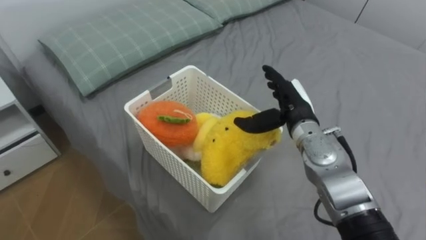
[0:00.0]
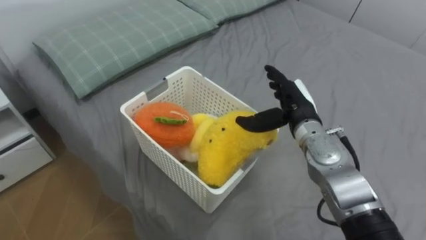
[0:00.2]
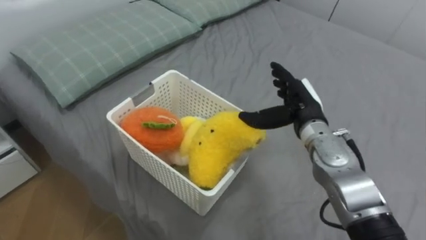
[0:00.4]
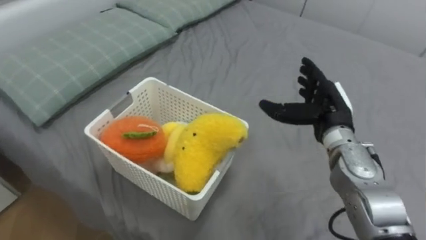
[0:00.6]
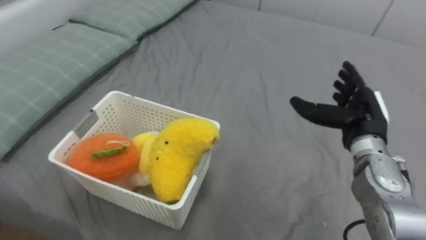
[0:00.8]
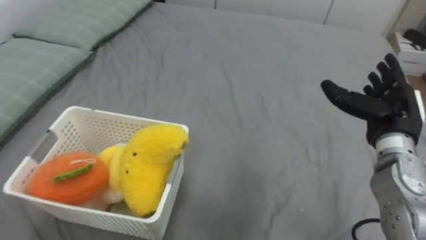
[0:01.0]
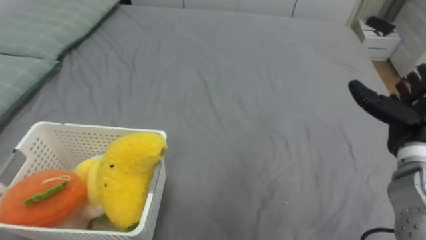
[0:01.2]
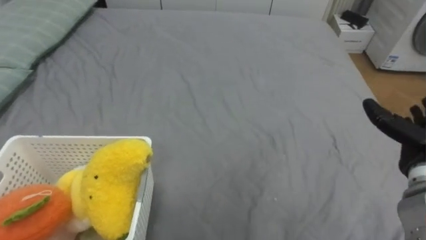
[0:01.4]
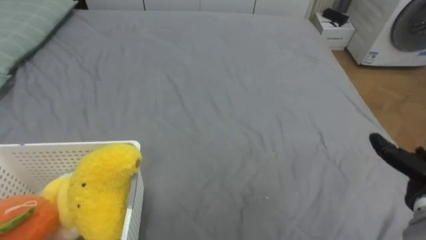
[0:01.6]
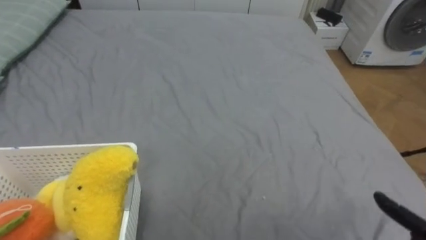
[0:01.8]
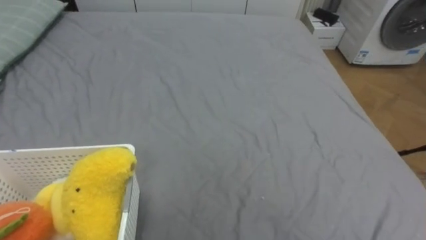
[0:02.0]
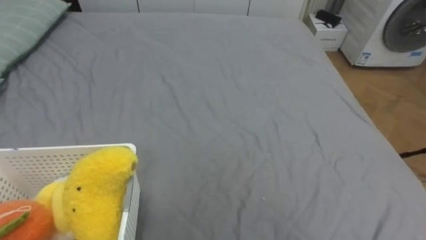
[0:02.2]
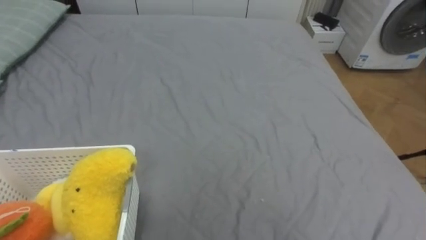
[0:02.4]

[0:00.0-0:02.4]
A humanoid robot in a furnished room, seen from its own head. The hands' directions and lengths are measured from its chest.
Task of the whole recording: Put the toys on the bed into the basket on the left.
0:00.0 to 0:01.2: The right hand travels to the right by approximately 20 cm.

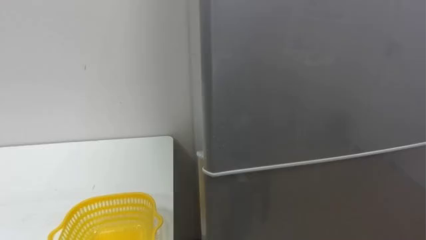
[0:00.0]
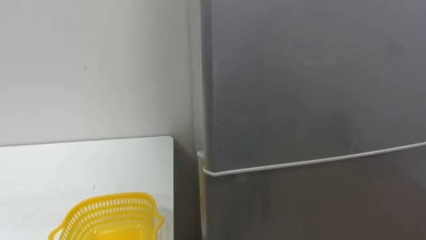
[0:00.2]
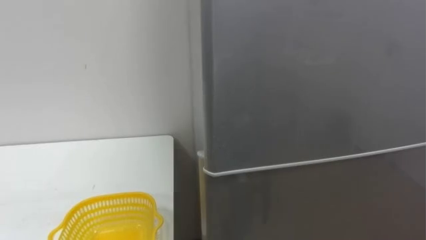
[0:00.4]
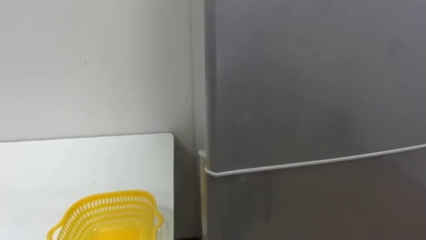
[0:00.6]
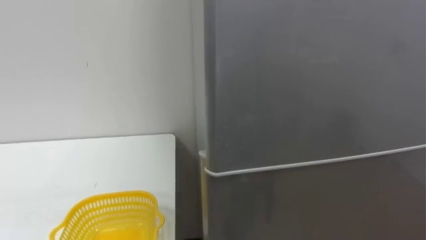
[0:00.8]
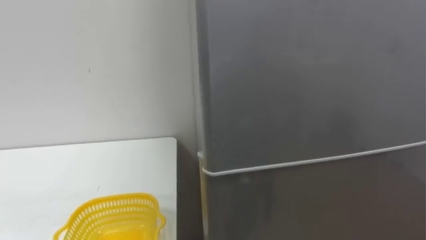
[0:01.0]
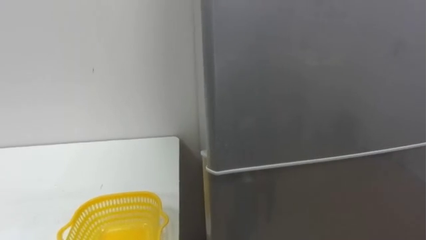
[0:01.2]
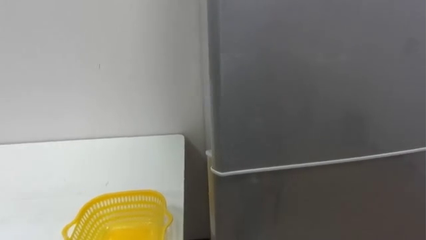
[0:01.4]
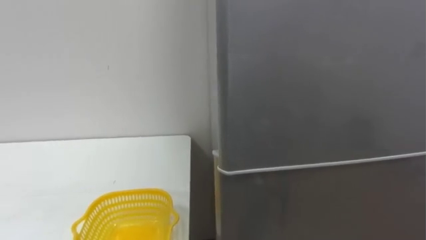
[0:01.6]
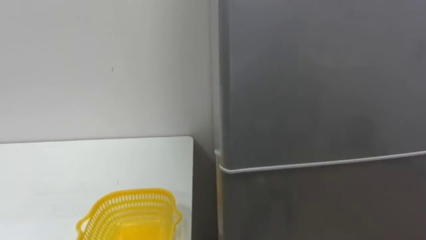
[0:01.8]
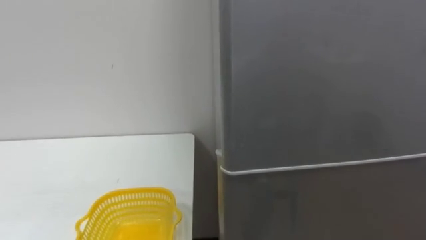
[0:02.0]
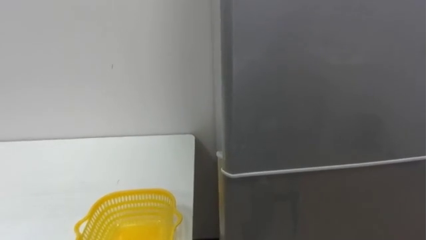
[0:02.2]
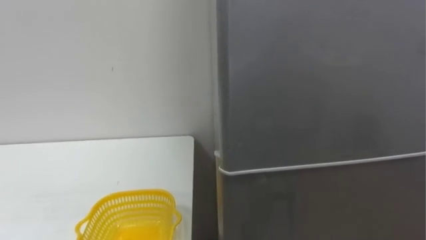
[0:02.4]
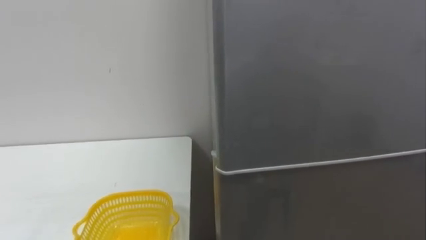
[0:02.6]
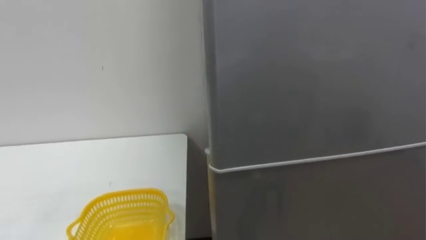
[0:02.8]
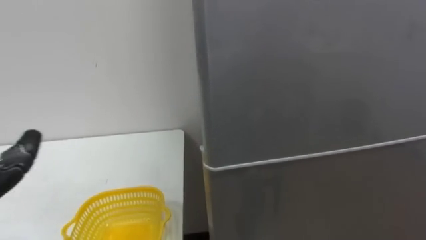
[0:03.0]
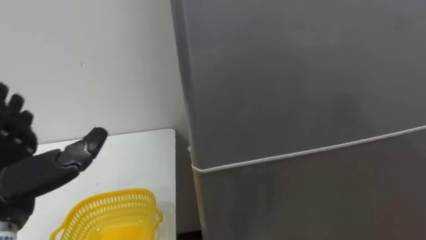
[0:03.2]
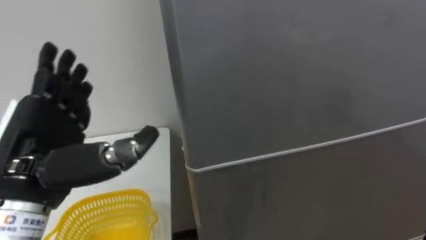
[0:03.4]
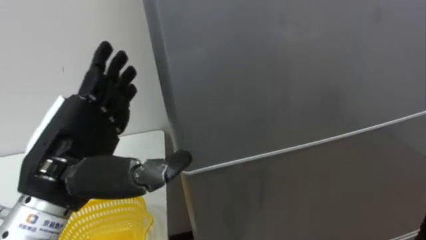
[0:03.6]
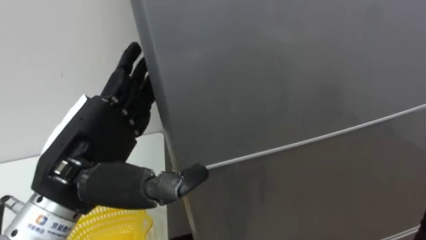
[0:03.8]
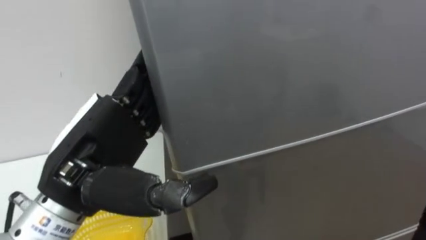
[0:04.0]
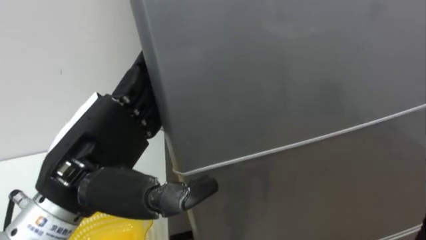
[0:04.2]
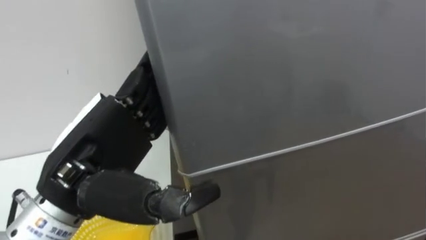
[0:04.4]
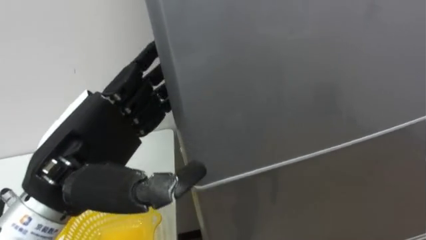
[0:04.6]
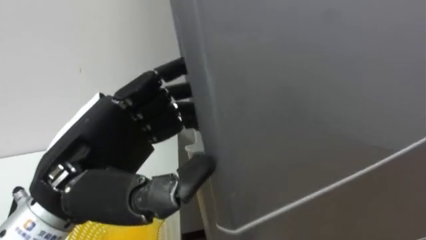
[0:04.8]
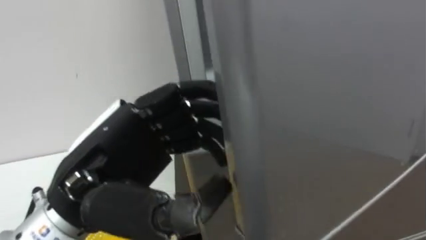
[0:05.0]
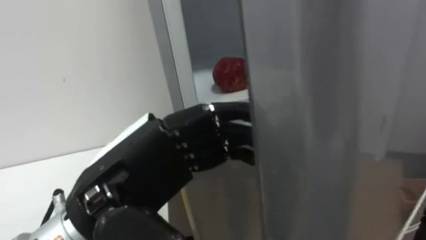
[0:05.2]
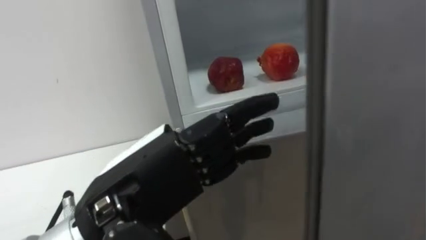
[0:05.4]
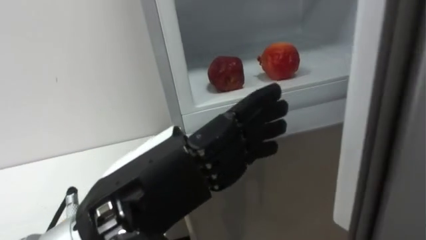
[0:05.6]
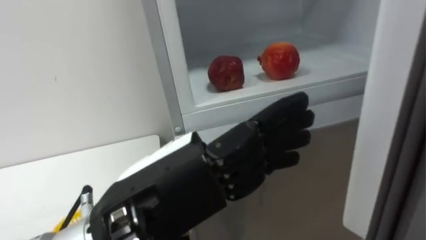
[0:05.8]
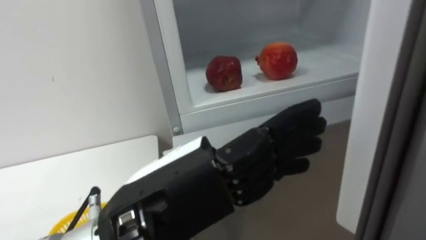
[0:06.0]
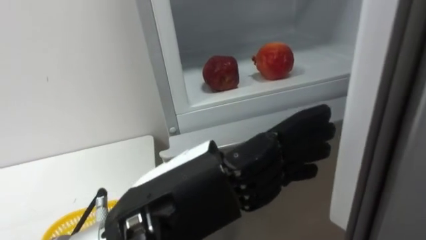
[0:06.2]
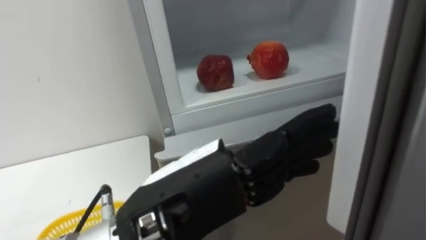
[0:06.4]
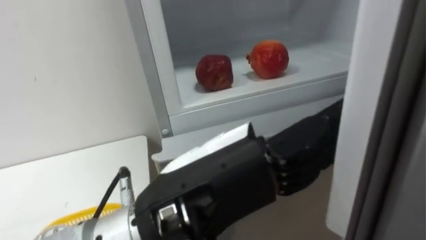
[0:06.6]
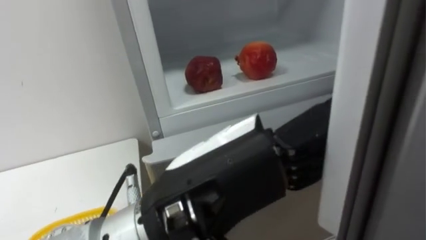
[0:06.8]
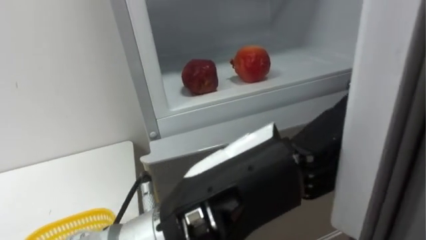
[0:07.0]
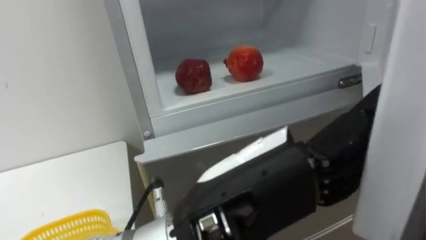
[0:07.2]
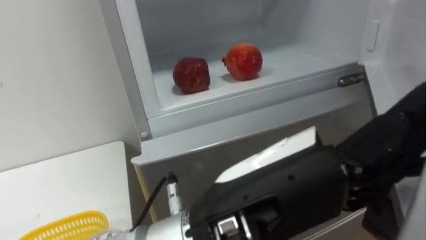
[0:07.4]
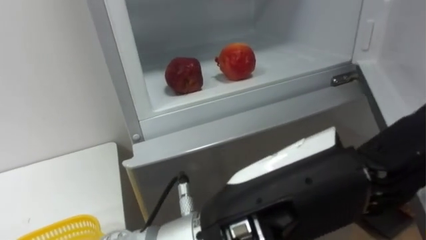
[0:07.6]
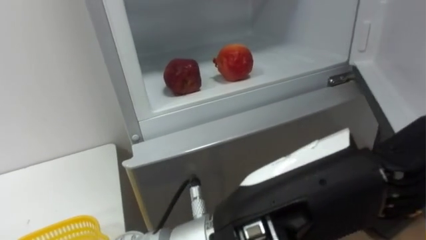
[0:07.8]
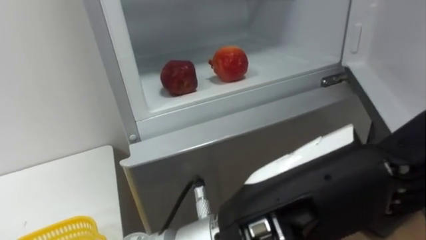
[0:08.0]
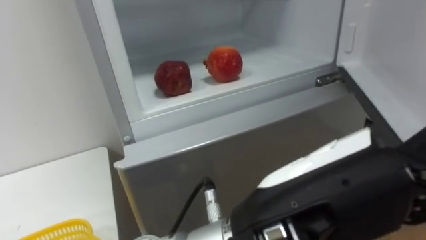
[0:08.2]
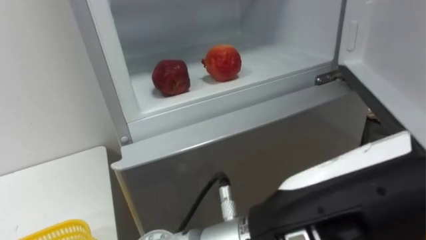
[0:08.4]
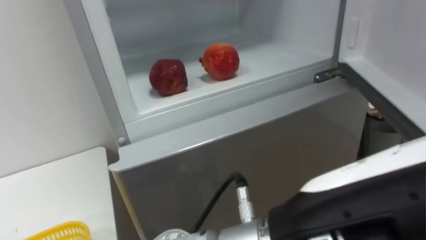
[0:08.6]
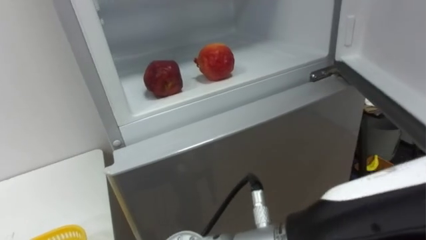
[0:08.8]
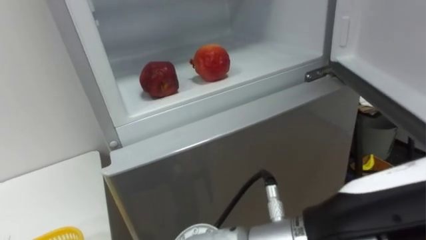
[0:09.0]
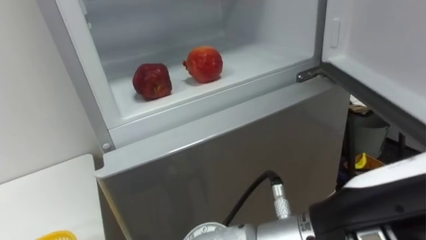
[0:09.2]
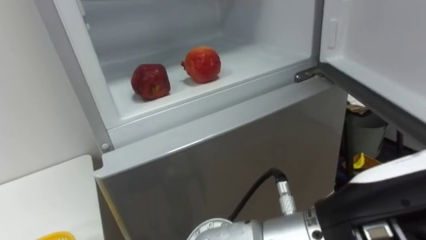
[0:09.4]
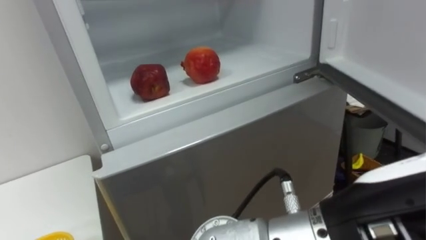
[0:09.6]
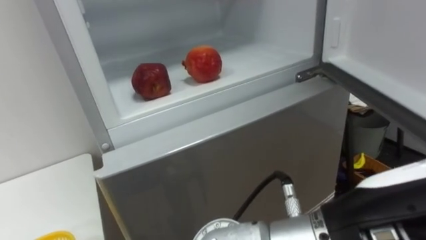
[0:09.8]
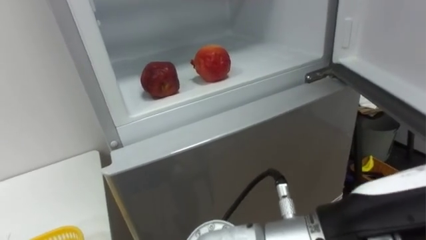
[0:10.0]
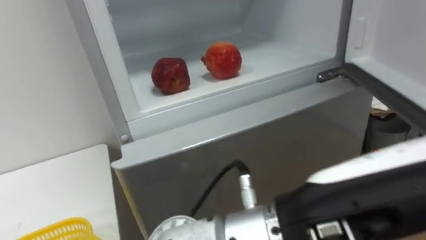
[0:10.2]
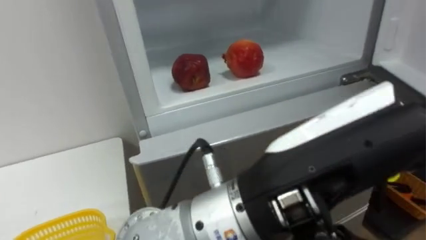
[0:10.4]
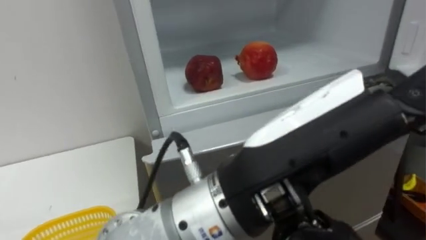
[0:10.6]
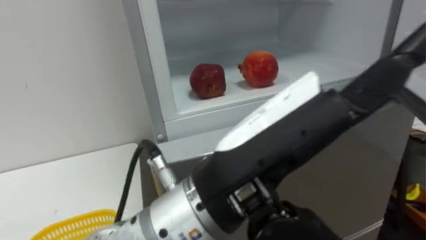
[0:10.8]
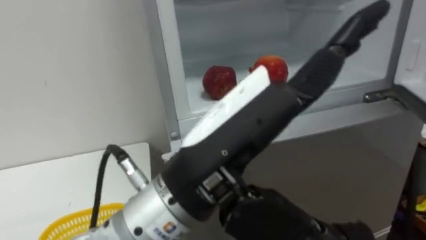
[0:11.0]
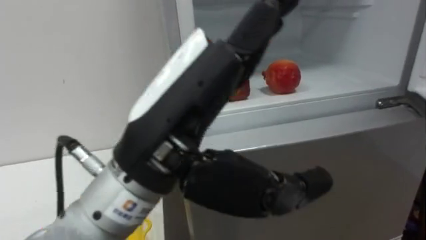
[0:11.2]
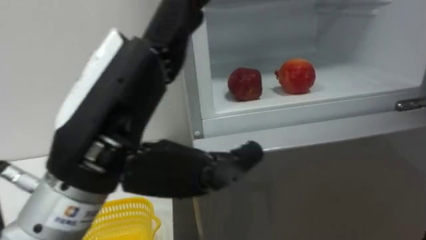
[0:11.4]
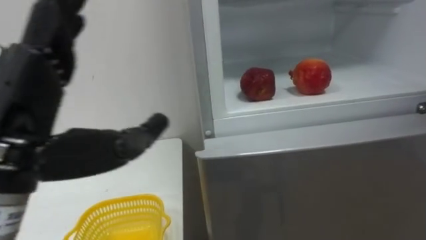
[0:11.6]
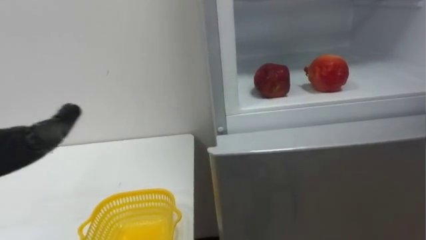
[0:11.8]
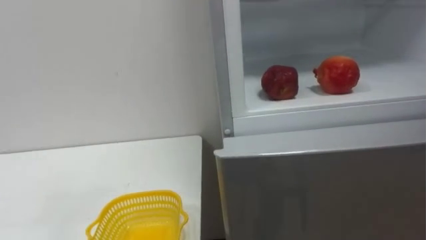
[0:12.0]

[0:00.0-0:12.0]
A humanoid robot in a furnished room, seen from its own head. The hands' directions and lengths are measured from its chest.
Task of the whole recording: Open the refrigerator door, take out the apple and the pomegranate, place them in the fruit basket on the left, and close the refrigerator door.
0:04.4 to 0:06.0: The left hand moves to the right and backward, approximately 10 cm, and closes, then opens again.
0:06.0 to 0:07.6: The left hand is displaced to the right by some 10 cm.
0:07.6 to 0:09.0: The left hand travels to the right by some 5 cm.

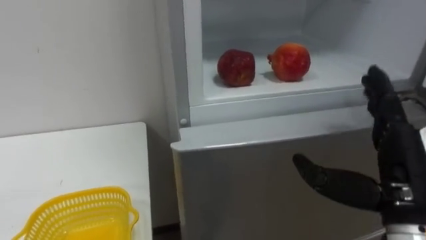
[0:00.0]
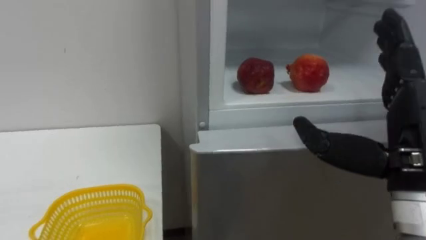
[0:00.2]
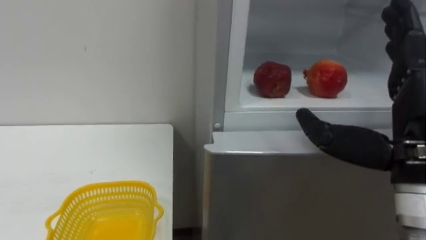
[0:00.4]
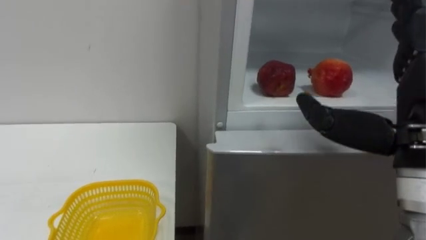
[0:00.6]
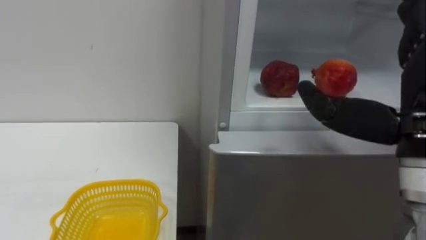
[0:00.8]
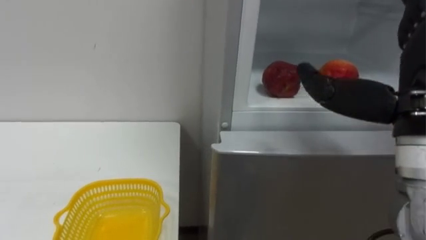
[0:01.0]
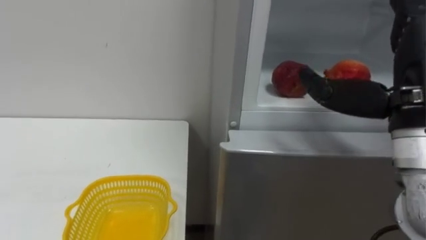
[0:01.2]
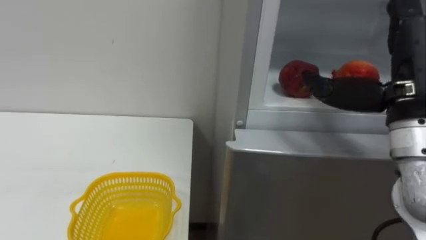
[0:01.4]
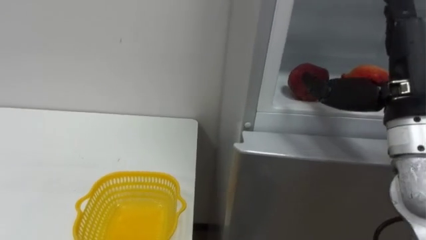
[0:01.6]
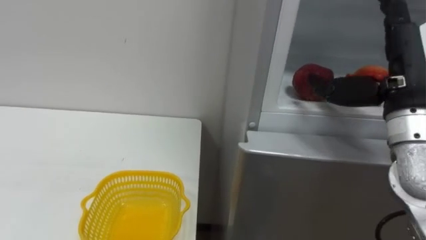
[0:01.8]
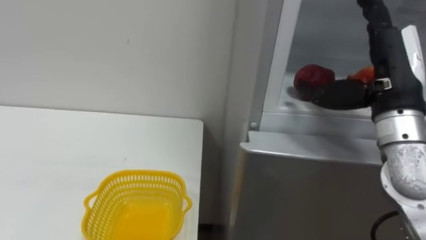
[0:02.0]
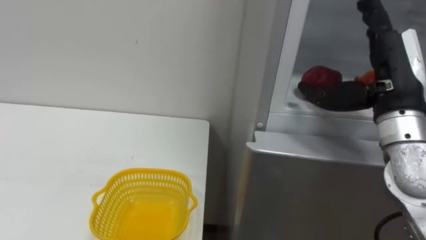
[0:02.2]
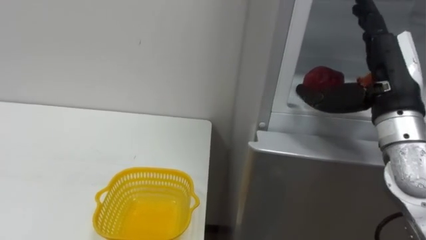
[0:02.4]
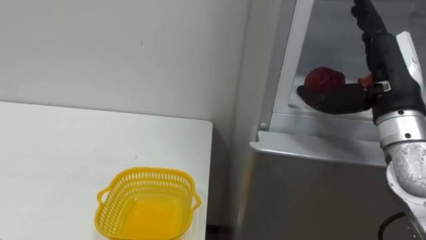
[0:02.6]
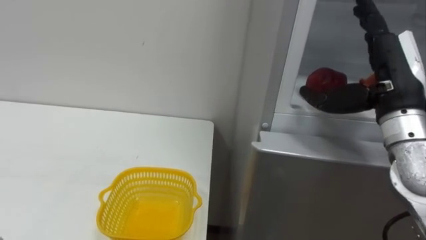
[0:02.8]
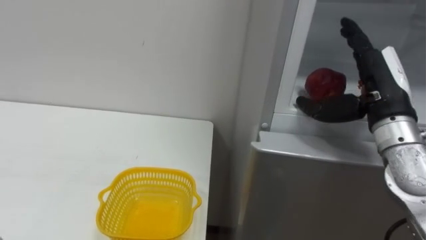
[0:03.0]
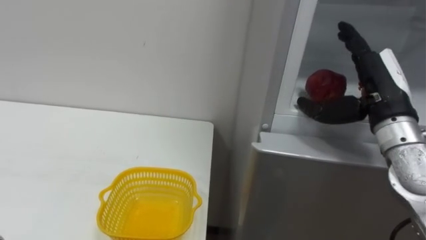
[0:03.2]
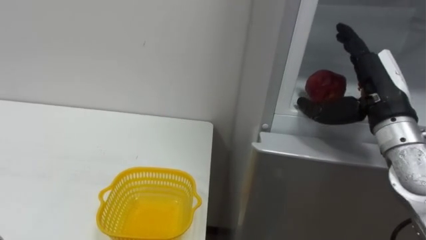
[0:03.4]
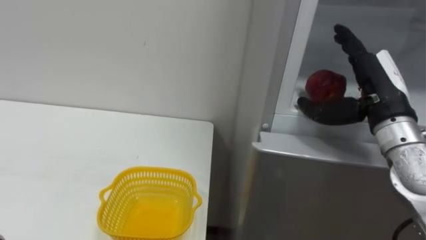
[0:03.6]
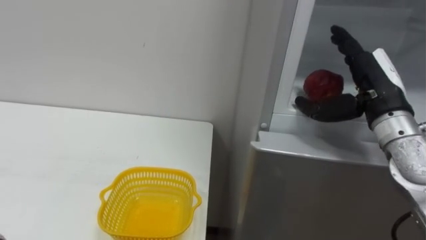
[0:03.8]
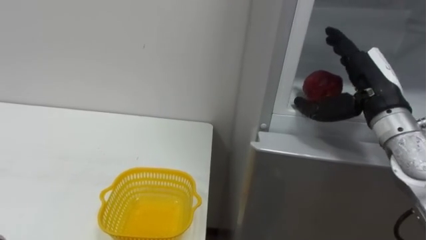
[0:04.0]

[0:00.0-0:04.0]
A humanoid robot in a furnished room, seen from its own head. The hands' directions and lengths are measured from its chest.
Task of the whole recording: Open the refrigerator door, take out the apple and the pomegranate, place them in the fruit basket on the left, and close the refrigerator door.
0:00.0 to 0:01.4: The right hand goes some 10 cm upward and forward.
0:01.4 to 0:02.6: The right hand moves forward, about 5 cm.
